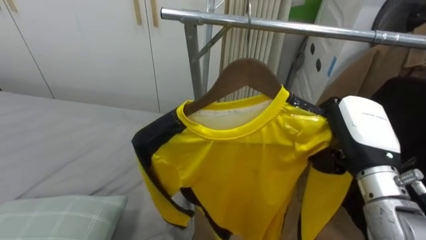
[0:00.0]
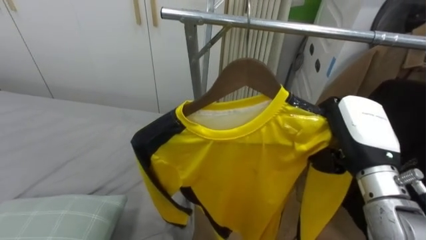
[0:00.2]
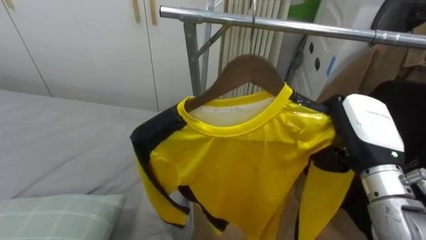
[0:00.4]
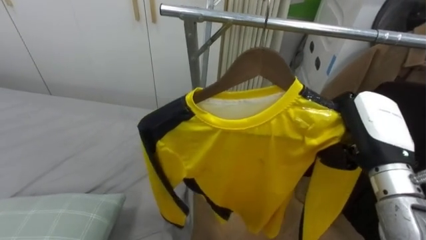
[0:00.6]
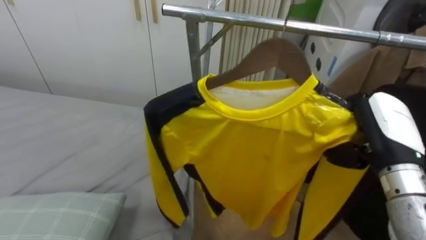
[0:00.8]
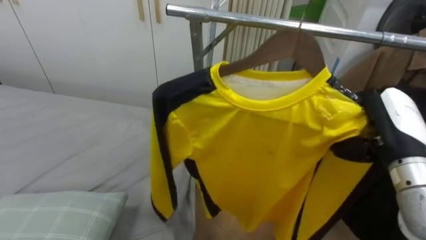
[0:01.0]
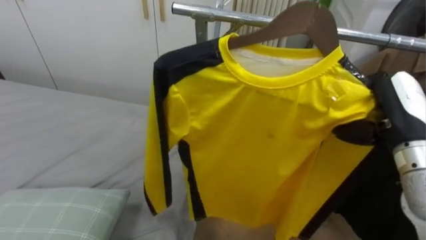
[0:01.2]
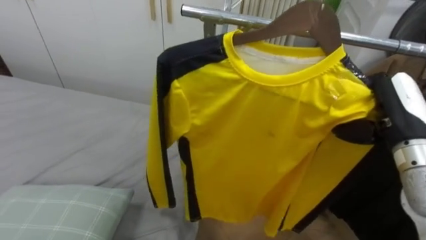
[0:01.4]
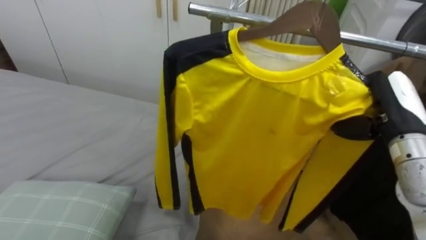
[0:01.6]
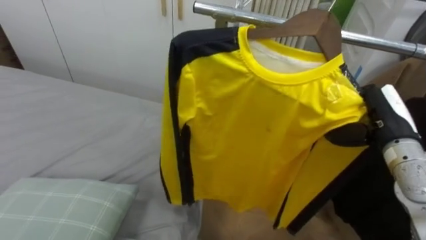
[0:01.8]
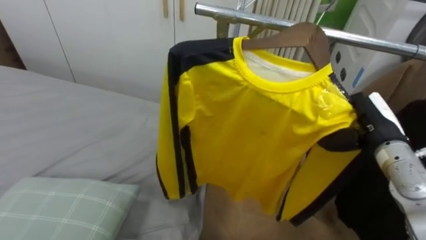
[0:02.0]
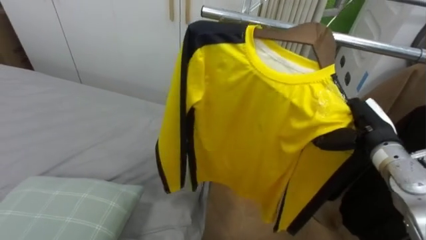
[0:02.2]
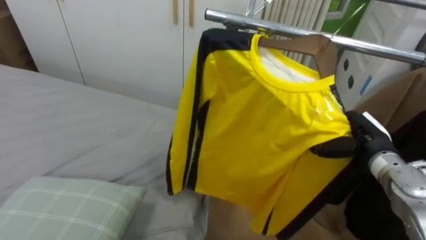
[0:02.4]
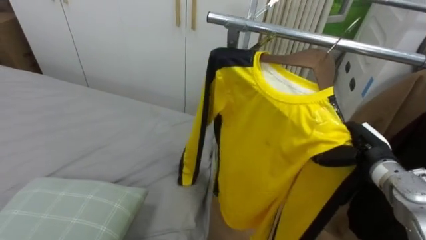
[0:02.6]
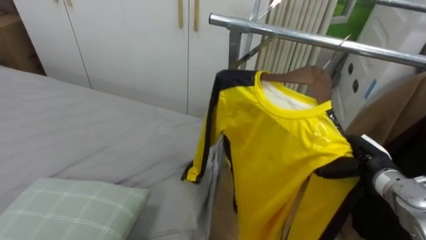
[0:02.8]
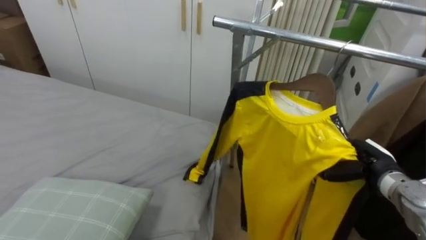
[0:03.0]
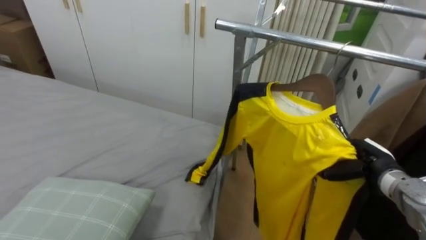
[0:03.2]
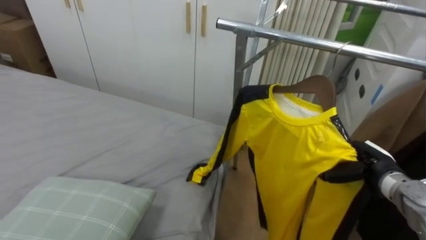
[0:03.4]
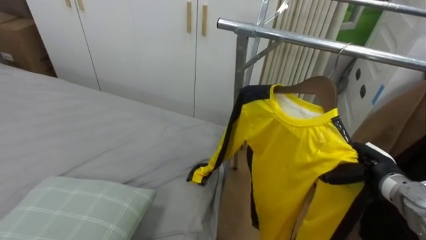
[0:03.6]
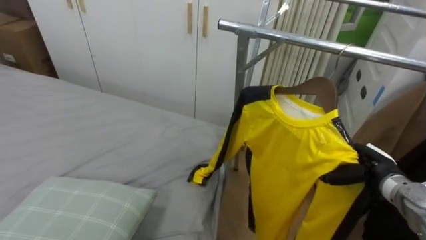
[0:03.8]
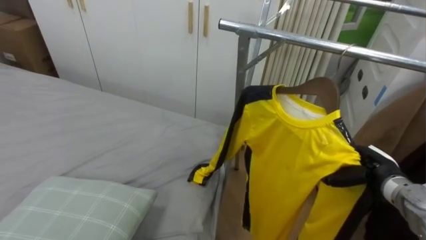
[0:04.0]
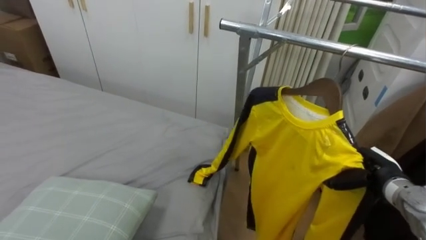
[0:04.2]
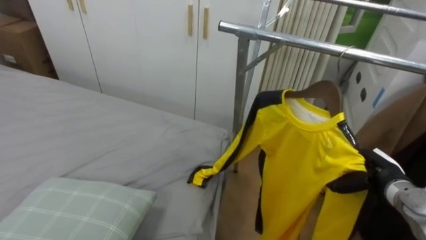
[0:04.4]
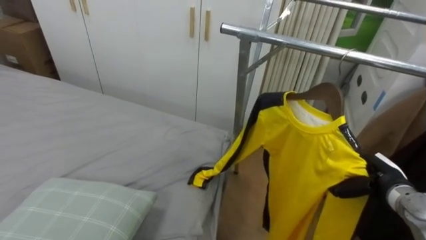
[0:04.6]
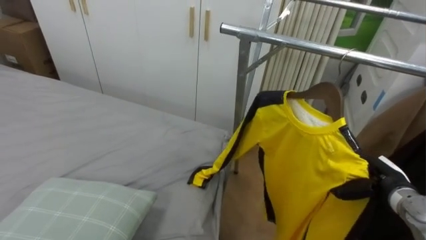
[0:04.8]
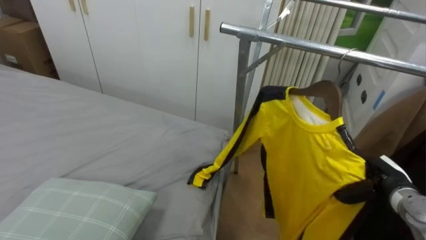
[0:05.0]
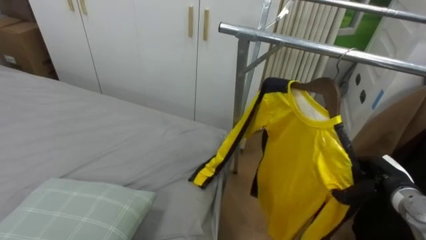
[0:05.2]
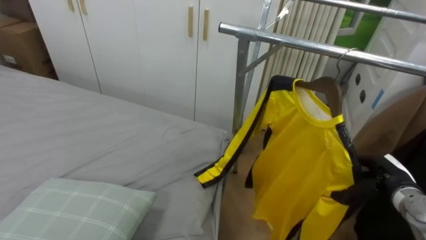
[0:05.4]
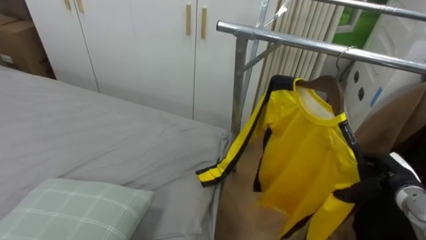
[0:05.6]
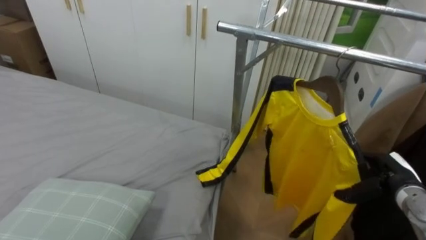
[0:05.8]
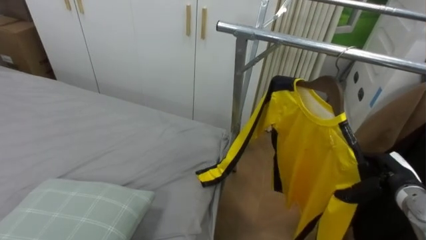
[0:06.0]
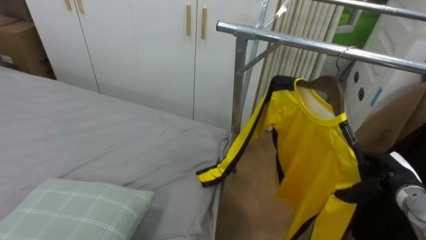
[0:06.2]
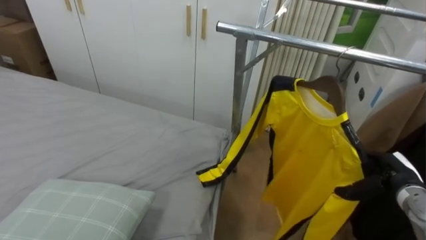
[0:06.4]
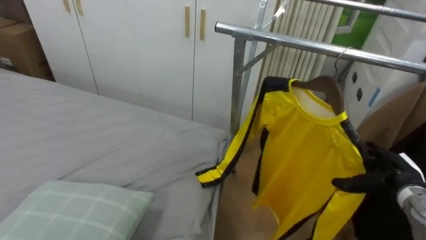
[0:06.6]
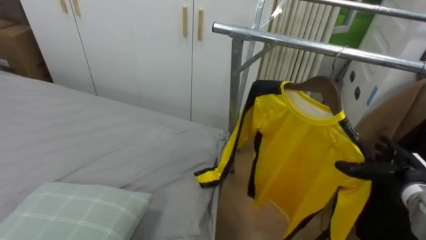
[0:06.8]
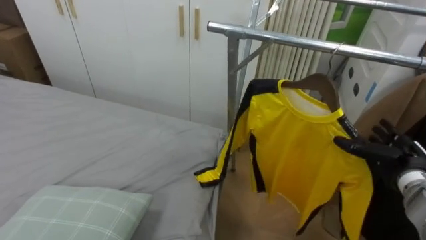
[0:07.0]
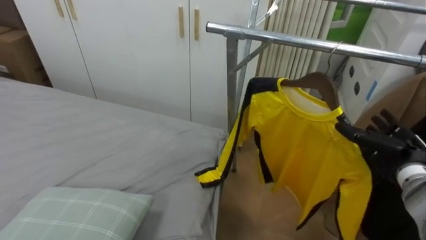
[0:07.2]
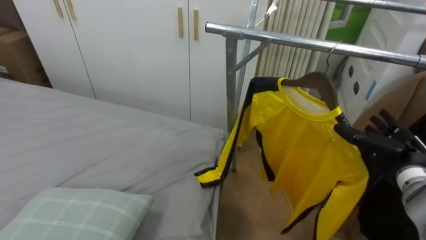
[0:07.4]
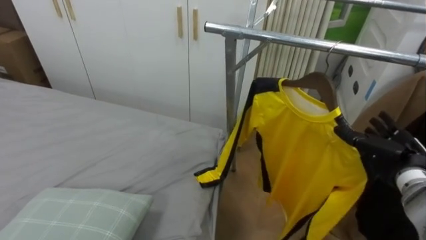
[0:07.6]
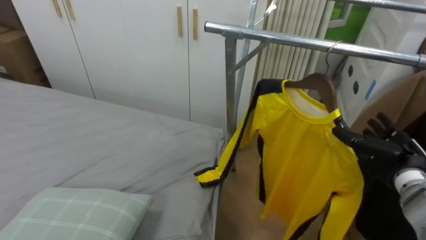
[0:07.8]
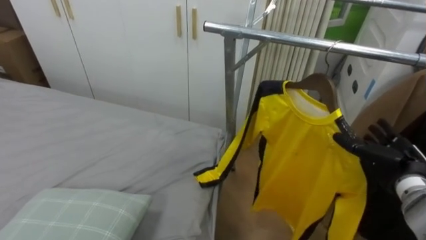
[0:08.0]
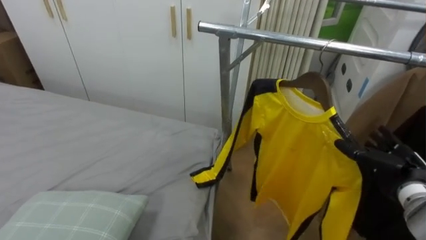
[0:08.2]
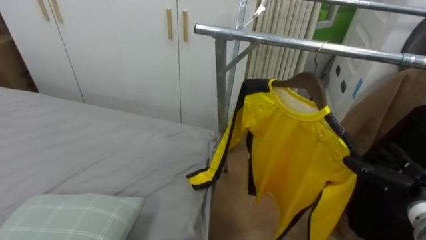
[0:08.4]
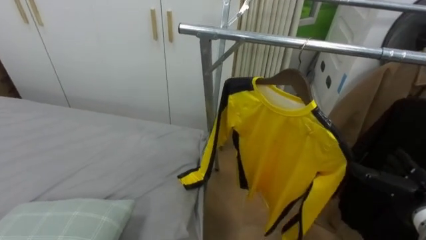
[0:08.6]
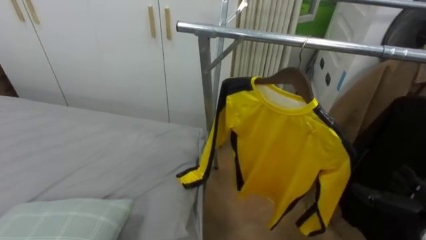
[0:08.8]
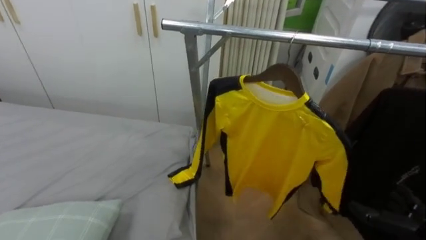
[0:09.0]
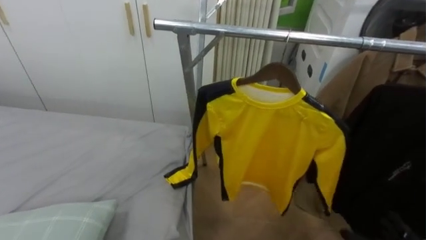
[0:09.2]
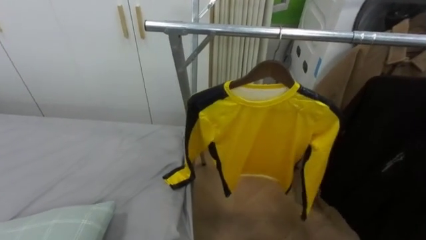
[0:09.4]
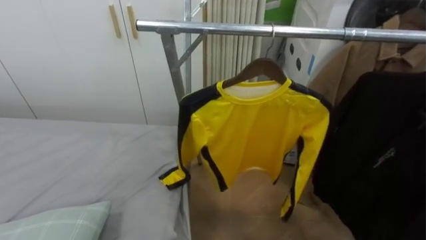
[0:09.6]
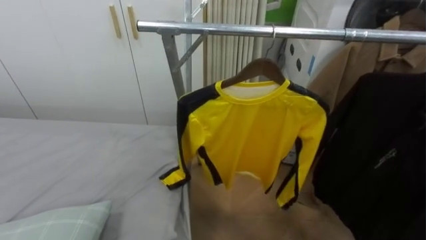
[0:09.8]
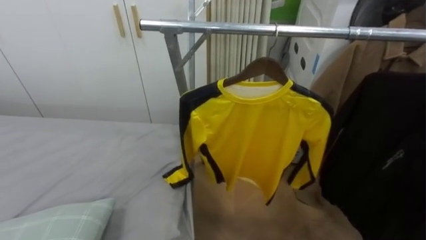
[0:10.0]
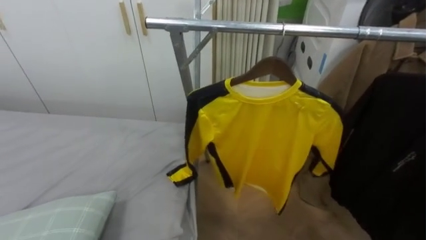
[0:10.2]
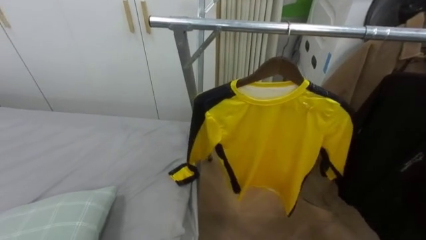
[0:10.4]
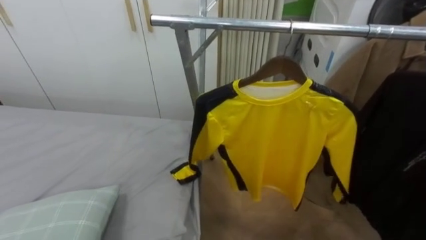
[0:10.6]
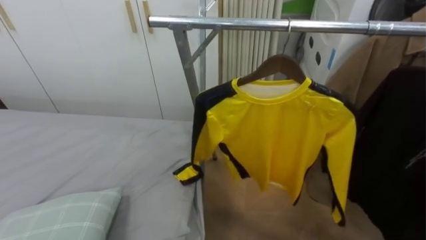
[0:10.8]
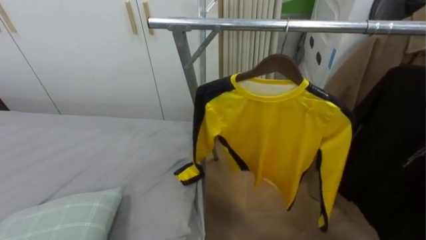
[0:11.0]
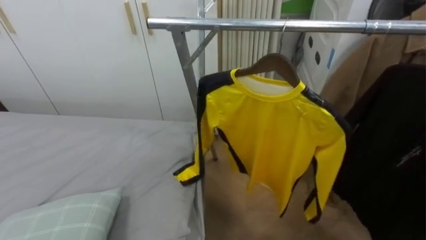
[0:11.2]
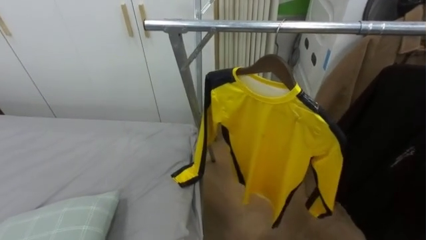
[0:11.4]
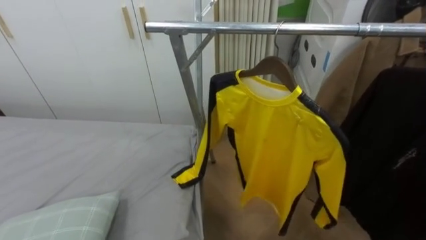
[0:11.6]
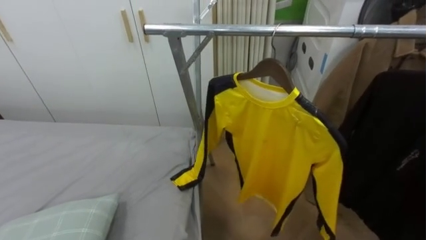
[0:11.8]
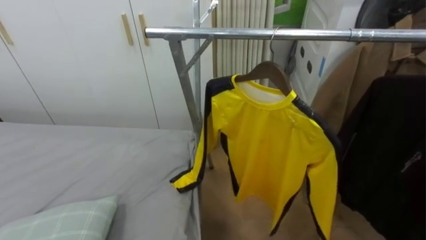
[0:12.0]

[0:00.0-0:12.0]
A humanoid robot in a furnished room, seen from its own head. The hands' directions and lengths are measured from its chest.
Task of the whole recording: Pick up the yellow shirt on the bed and hang it on the clothes rack on the right.
0:00.0 to 0:01.6: The right hand travels to the right by some 5 cm.
0:01.6 to 0:03.0: The right hand is displaced downward by roughly 15 cm.
0:04.4 to 0:06.0: The right hand opens.
0:06.0 to 0:07.6: The right hand shifts by roughly 5 cm.
0:07.6 to 0:09.0: The right hand shifts roughly 15 cm backward and downward.

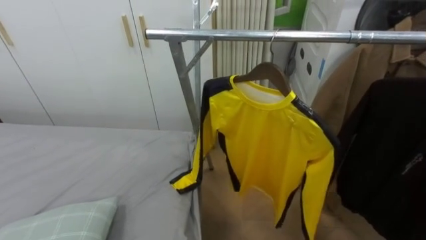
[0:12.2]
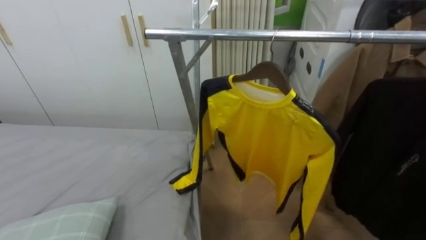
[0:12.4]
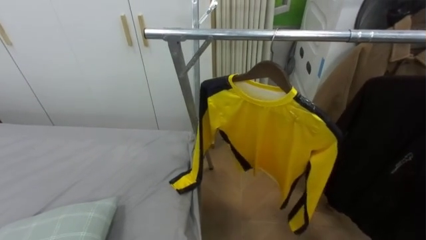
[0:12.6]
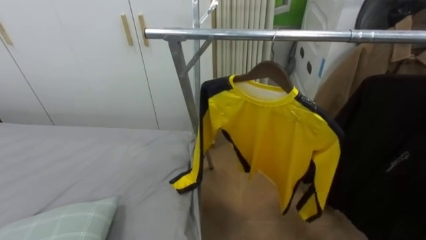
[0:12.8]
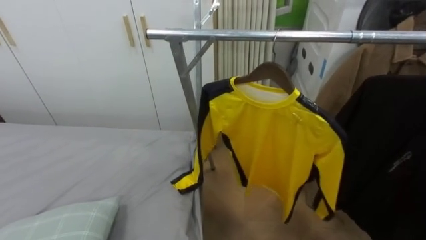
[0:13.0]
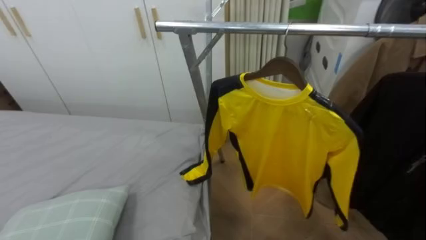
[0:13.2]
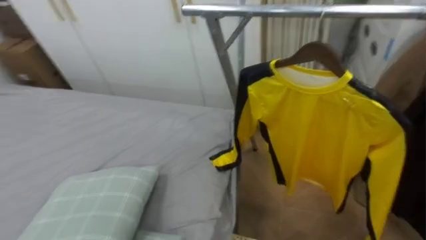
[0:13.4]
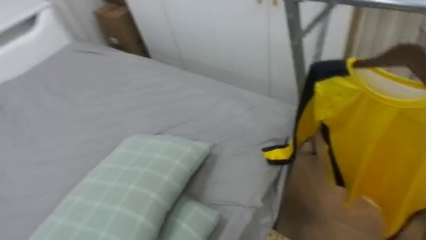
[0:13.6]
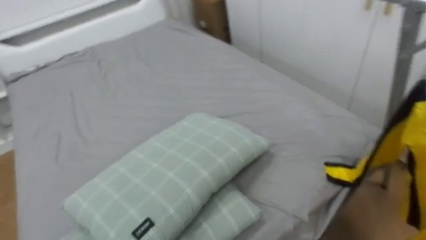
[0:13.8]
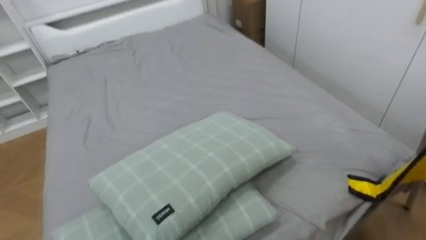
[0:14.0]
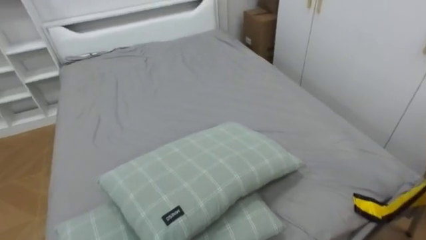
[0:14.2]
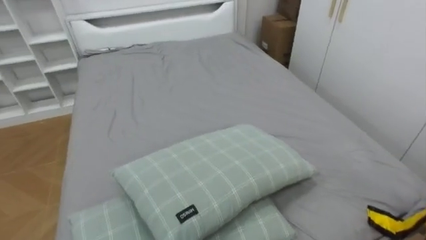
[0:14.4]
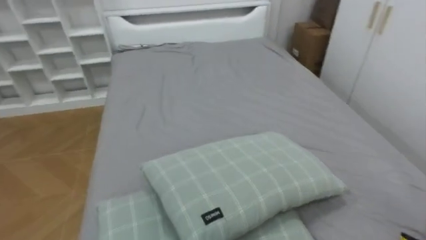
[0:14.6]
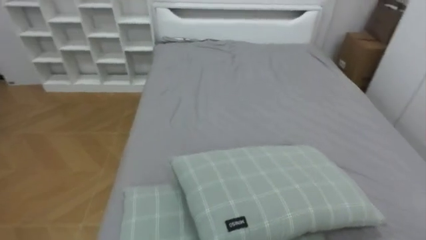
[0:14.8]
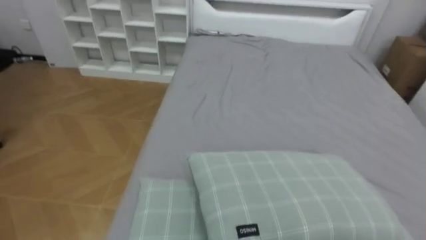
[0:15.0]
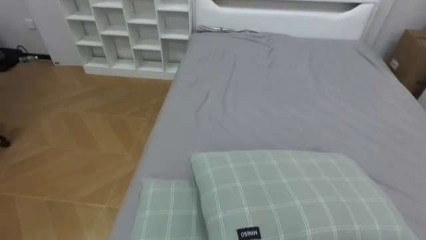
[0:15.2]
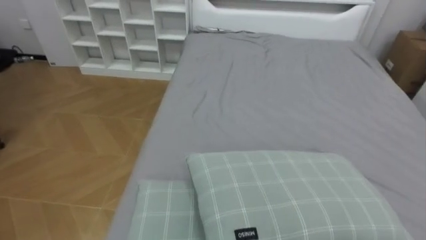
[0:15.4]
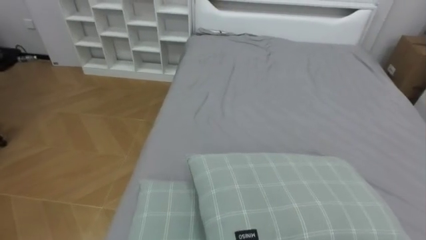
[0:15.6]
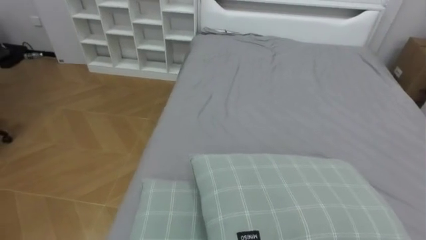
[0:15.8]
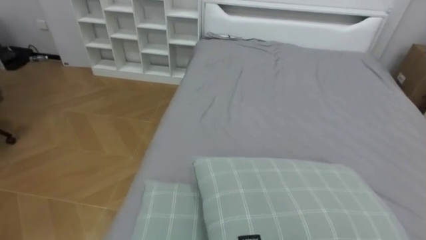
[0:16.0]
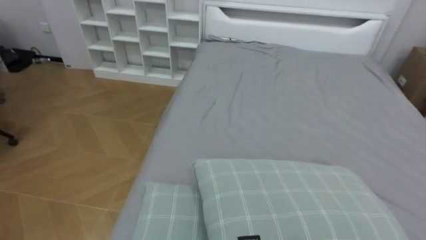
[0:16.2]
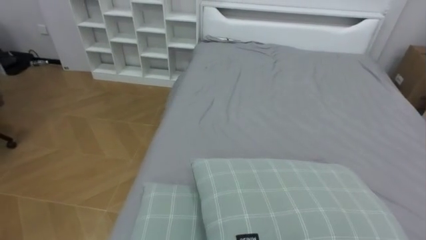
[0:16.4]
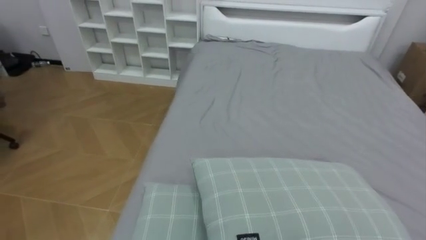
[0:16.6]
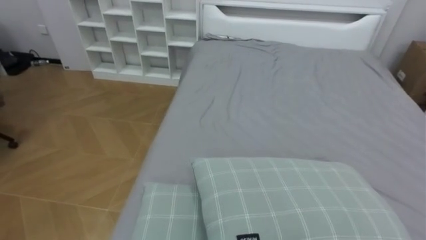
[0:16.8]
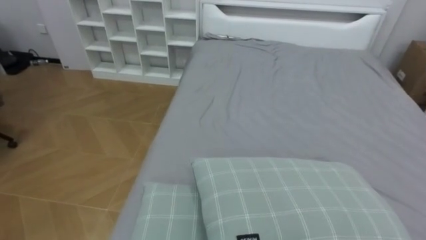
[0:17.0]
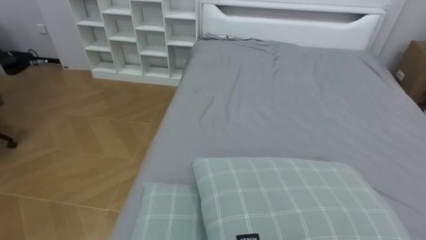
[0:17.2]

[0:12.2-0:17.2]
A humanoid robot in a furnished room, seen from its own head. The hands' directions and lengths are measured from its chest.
Task of the whole recording: Pick up the yellow shirt on the bed and hang it on the clothes rack on the right.
0:12.2 to 0:13.8: The robot rotates roughly 40 degrees to its left.
0:13.8 to 0:15.6: The robot faces some 50 degrees further to its left.
